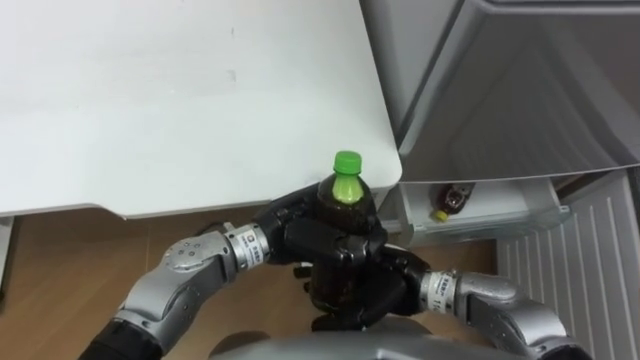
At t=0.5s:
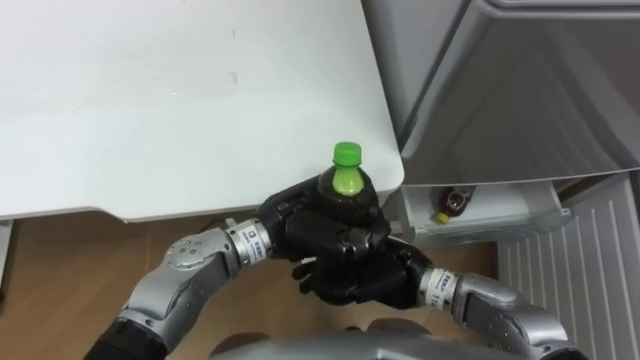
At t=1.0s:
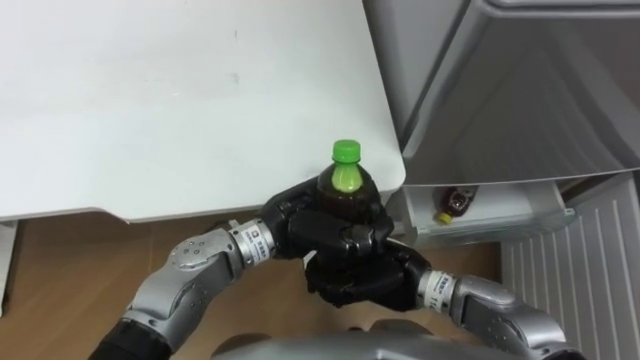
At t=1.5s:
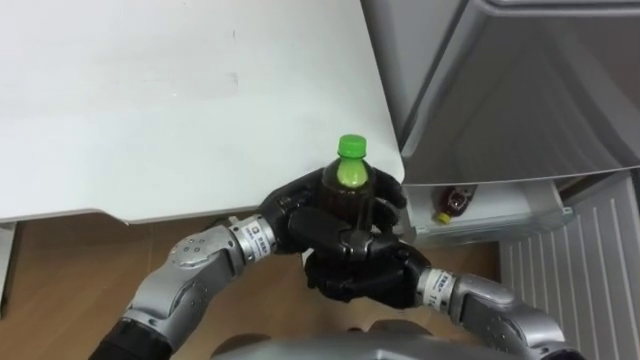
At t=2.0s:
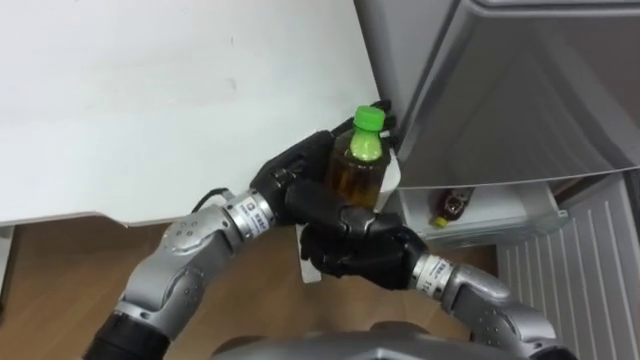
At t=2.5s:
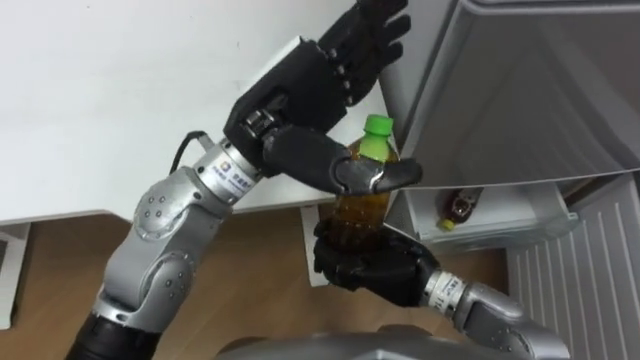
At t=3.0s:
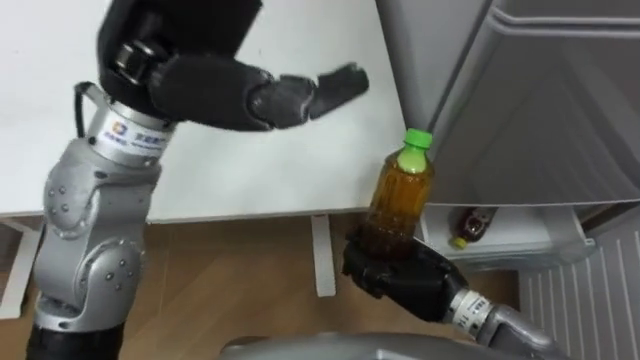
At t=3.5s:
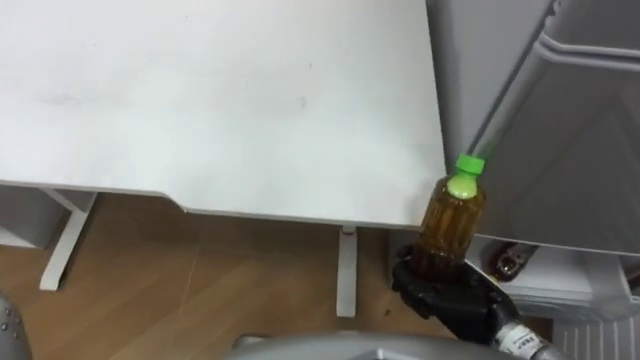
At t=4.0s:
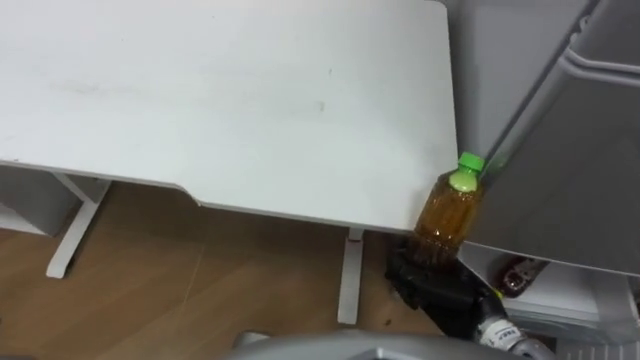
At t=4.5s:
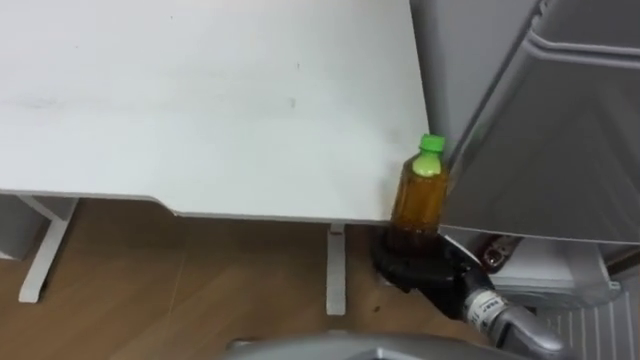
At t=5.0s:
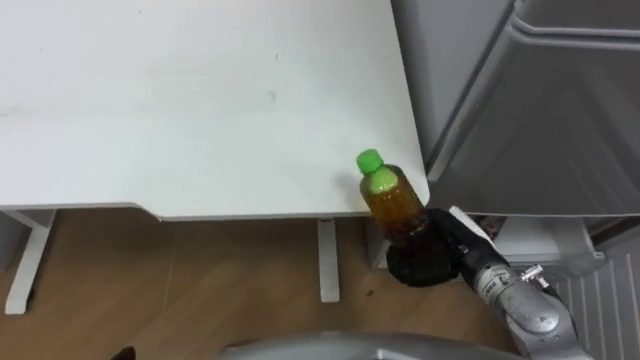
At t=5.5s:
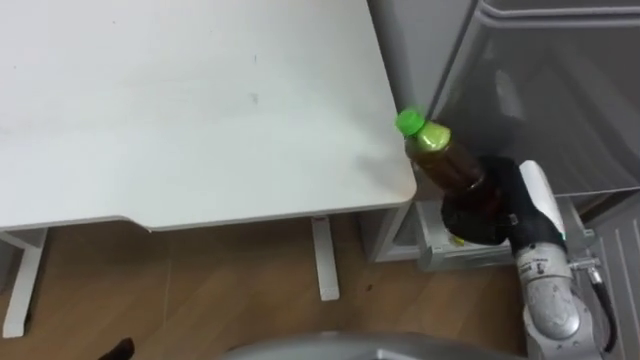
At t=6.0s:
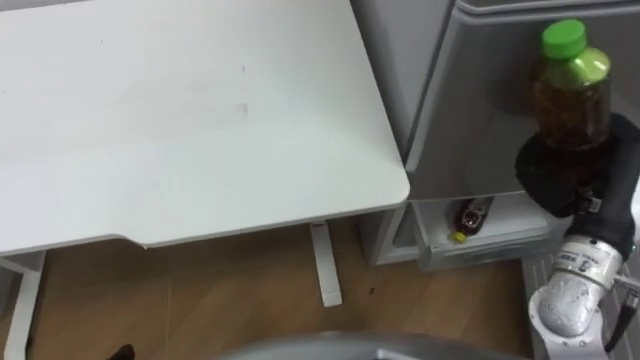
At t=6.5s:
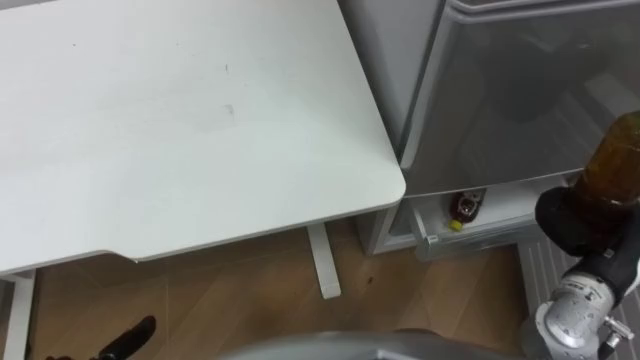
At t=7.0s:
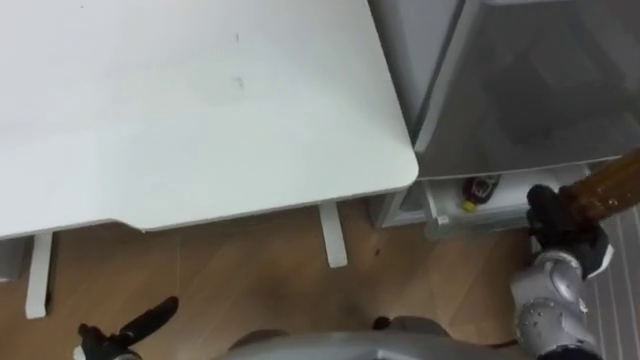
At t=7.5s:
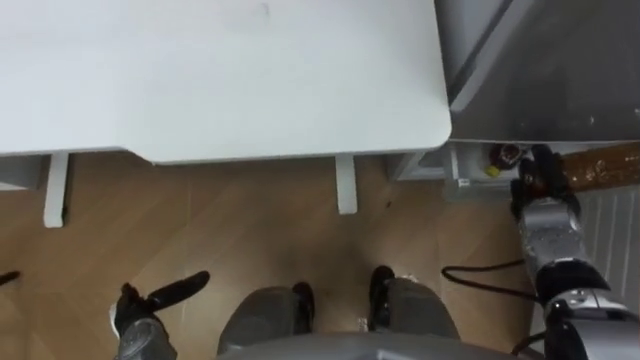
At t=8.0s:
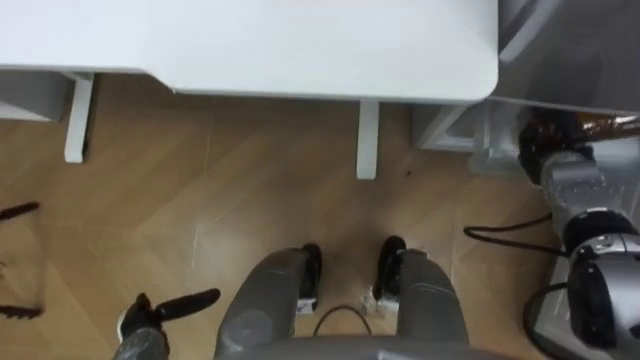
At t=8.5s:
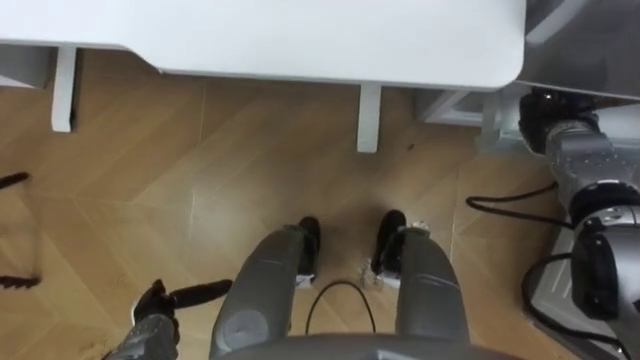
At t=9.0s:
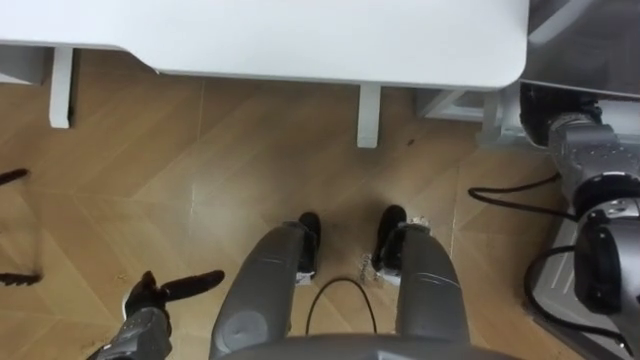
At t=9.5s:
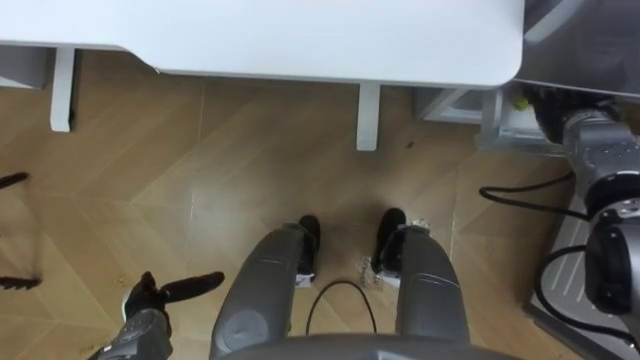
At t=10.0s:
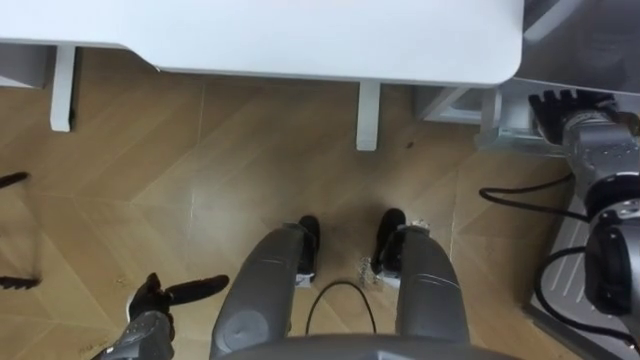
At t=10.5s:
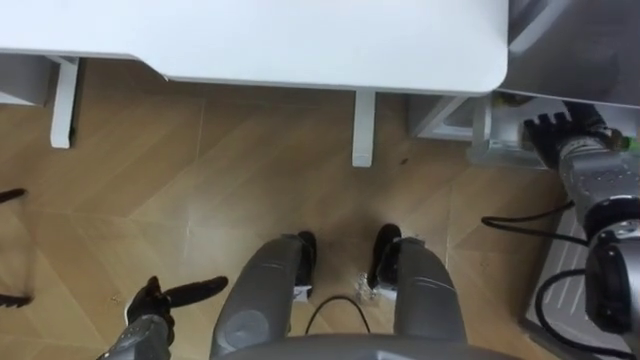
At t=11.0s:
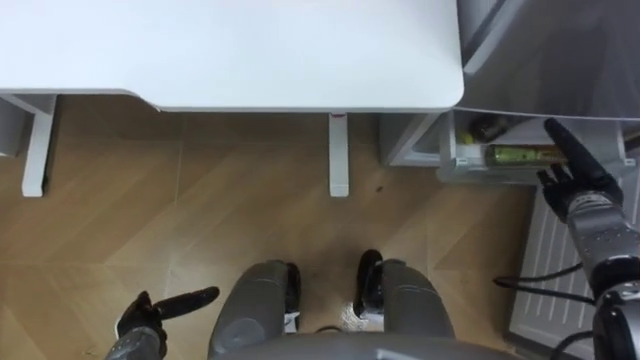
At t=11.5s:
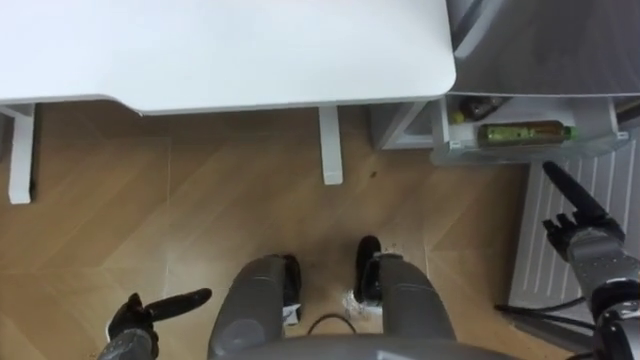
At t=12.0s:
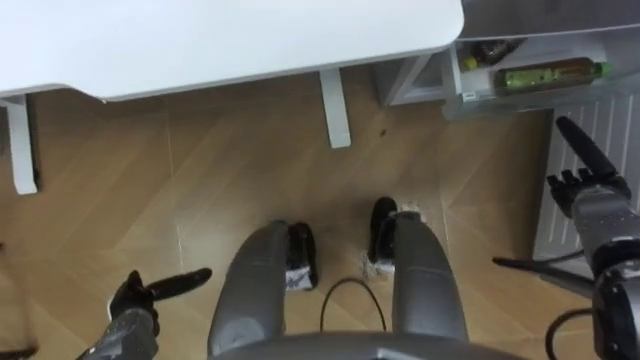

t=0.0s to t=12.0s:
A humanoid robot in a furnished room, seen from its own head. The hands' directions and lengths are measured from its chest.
Task of the whole recording: Place the drink on the table on the bottom shelf of the refrigerator, then close the drawer and the refrigerator door.
t=0.0s to t=2.0s: The left hand is displaced upward by approximately 5 cm, and opens. The right hand closes up.
t=2.0s to t=4.0s: The right hand travels to the right and backward by about 15 cm.
t=4.0s to t=6.0s: The right hand heads upward, to the right and forward, covering roughly 20 cm.
t=6.0s to t=8.0s: The right hand goes roughly 15 cm downward and forward.
t=8.0s to t=10.0s: The right hand shifts by roughly 5 cm, and opens.
t=10.0s to t=12.0s: The right hand is displaced backward and downward by some 10 cm.

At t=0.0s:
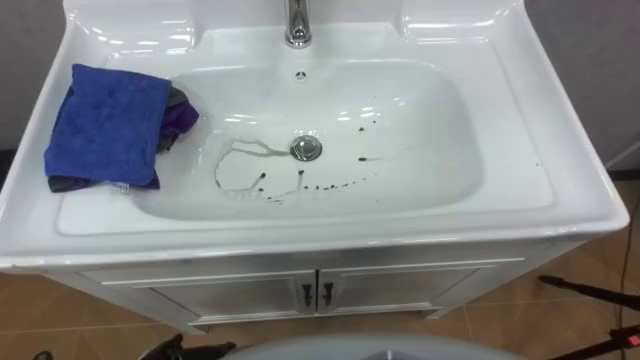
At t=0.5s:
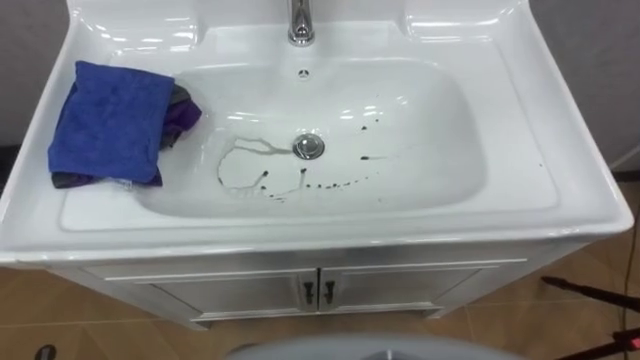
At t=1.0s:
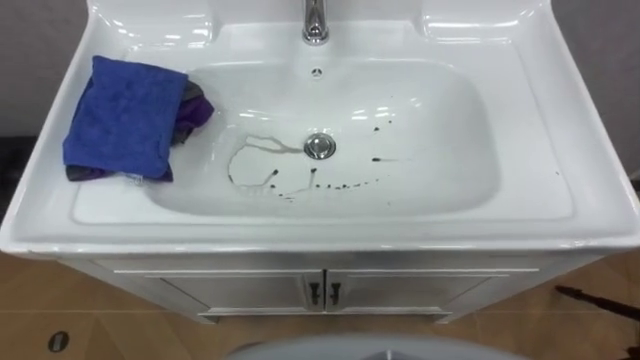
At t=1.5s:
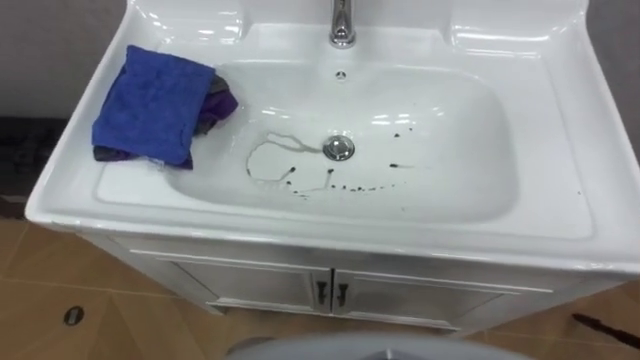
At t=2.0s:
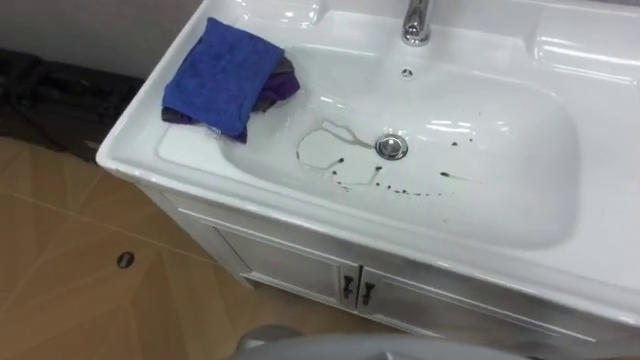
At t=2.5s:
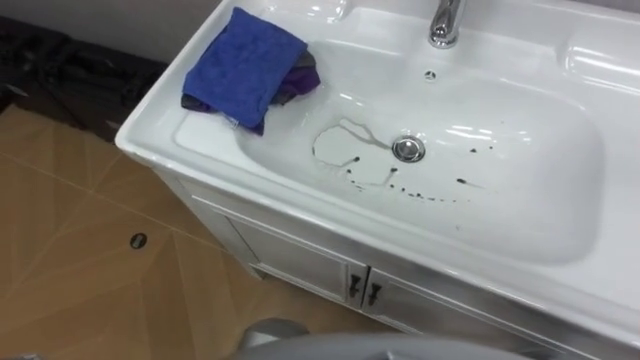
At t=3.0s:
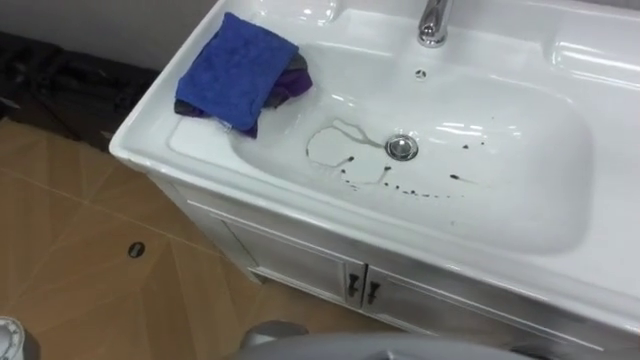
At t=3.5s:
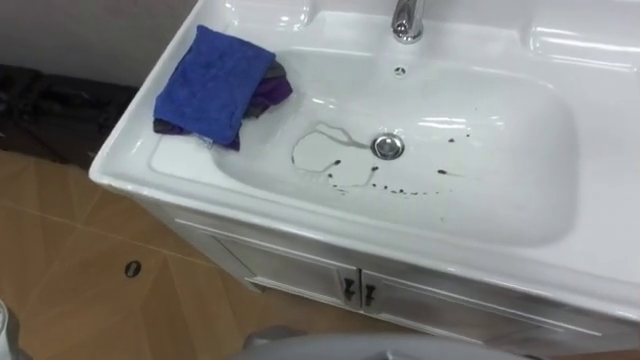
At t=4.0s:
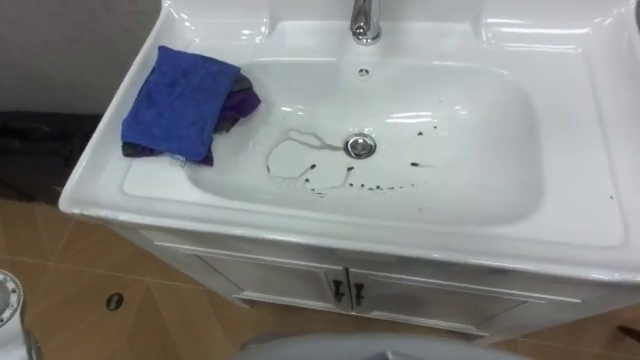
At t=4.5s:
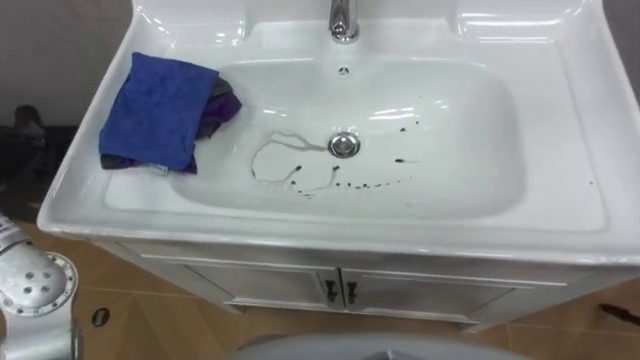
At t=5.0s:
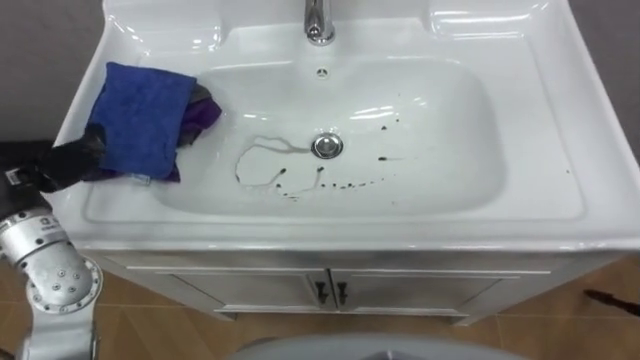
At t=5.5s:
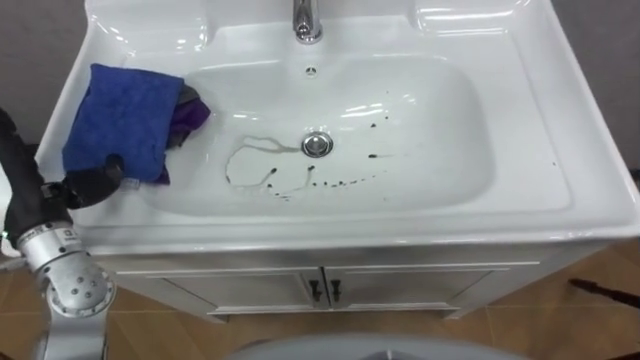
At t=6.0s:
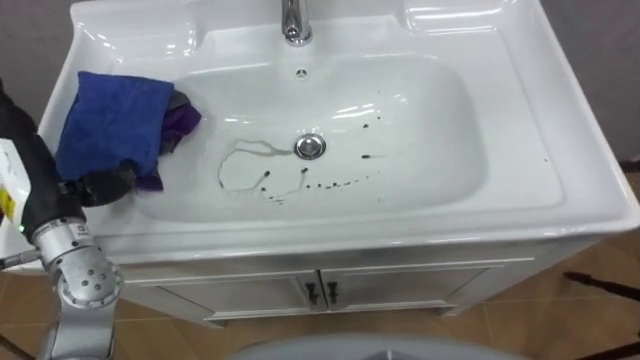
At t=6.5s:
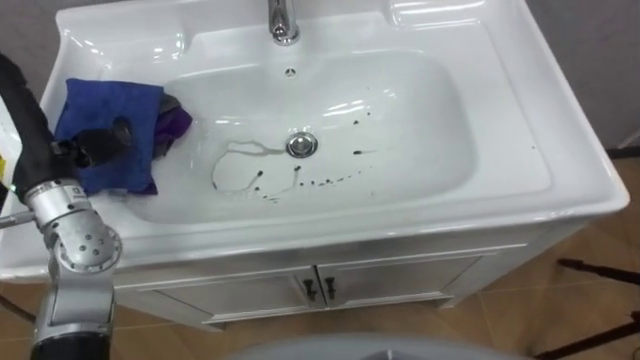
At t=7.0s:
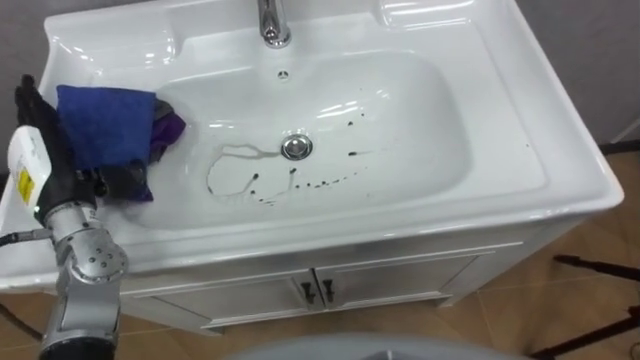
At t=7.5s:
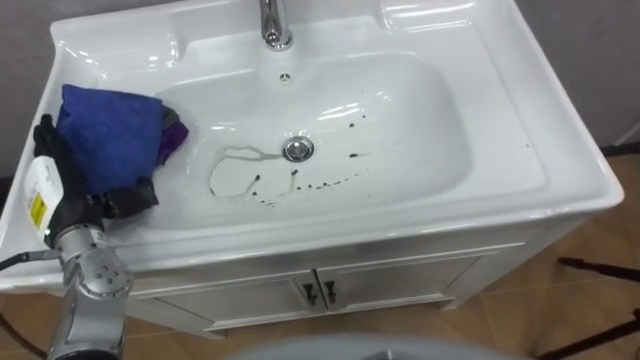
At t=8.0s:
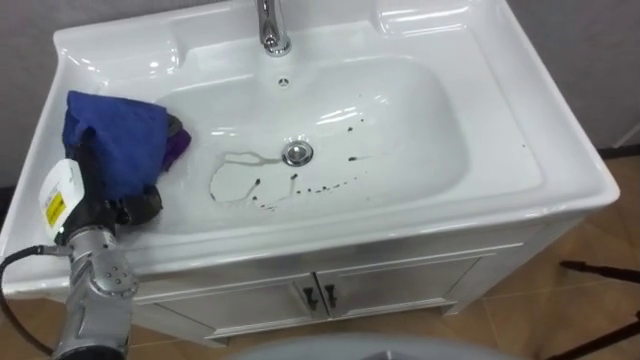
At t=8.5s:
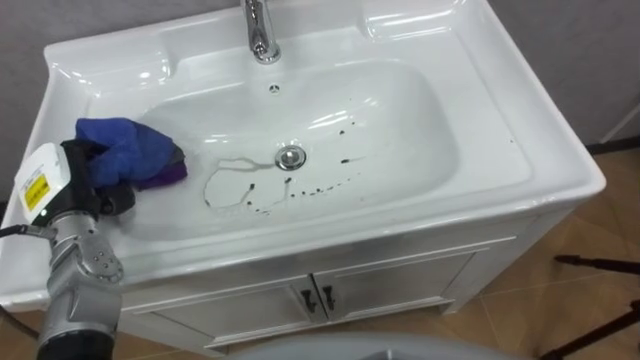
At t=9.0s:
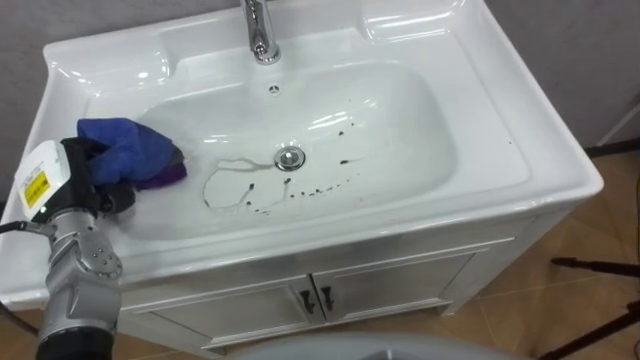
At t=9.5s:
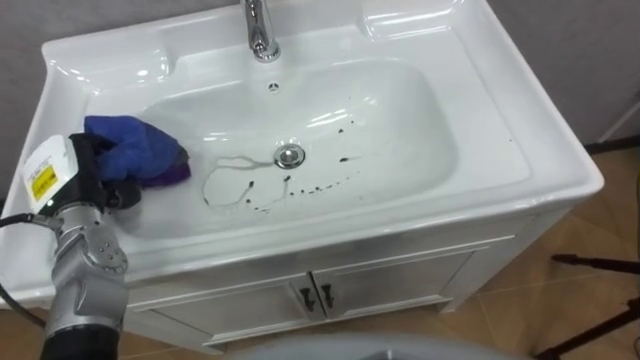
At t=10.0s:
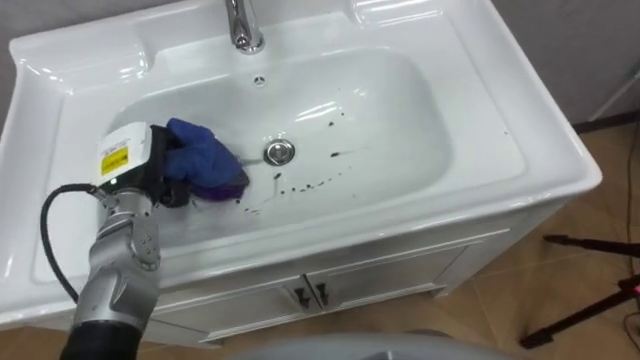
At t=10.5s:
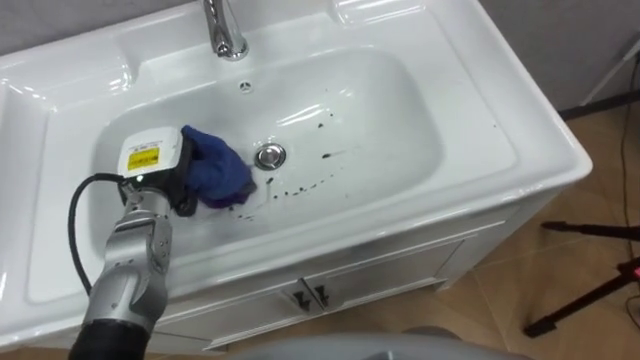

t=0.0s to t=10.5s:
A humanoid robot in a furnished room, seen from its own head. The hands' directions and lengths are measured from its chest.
Task of the whole recording: Use the cloth on the right to wipe away the black stain in the sink.
t=6.5s to t=8.5s: The left hand heads downward, covering approximately 10 cm, and closes.
t=8.5s to t=10.5s: The left hand moves to the right, about 10 cm.
